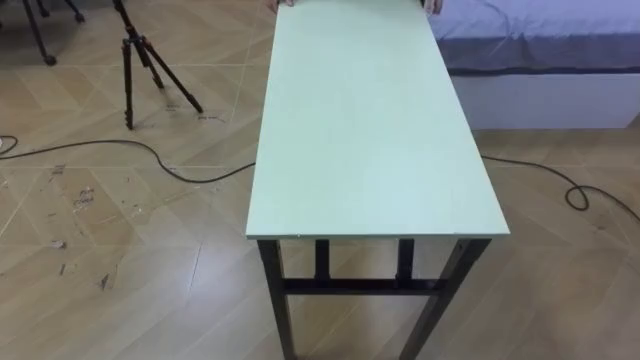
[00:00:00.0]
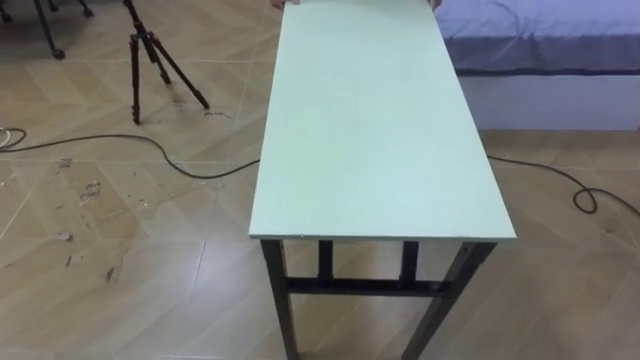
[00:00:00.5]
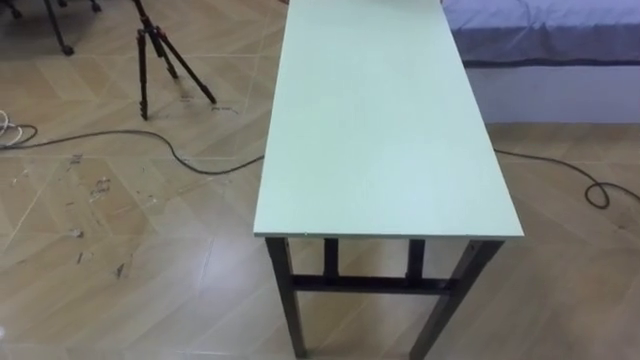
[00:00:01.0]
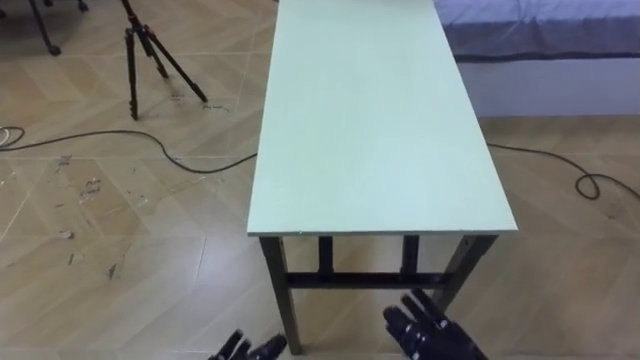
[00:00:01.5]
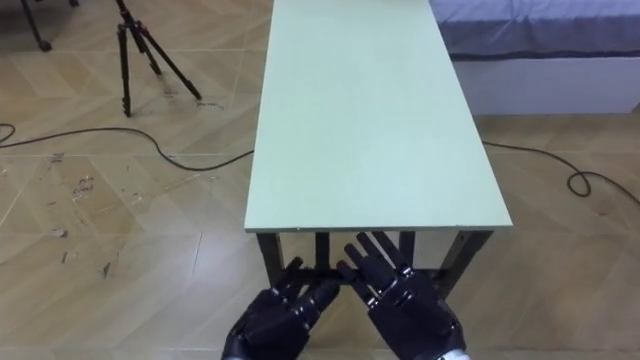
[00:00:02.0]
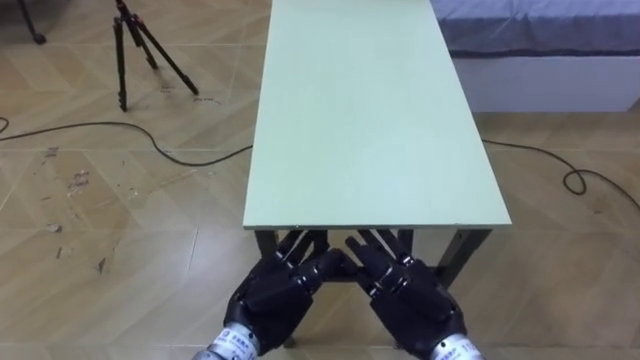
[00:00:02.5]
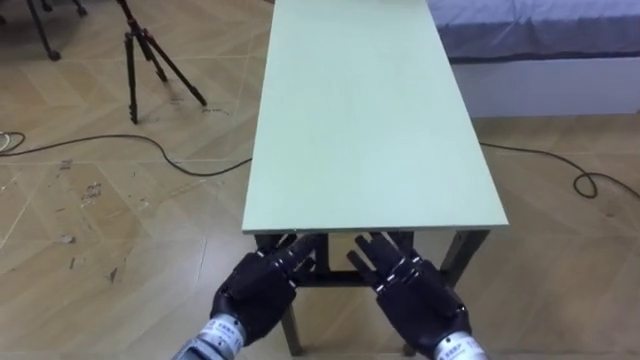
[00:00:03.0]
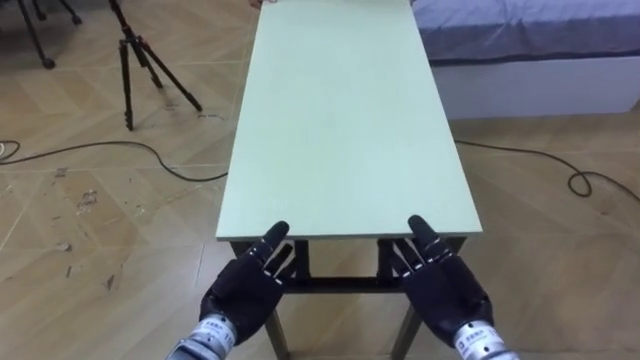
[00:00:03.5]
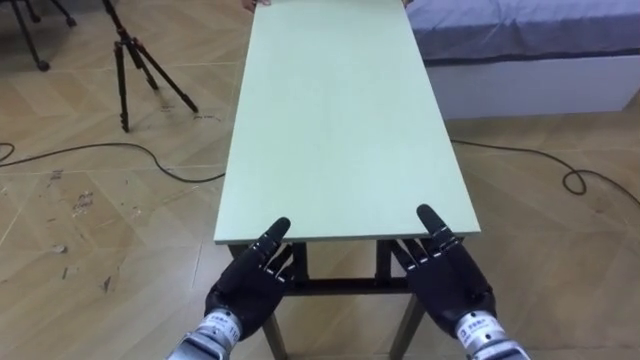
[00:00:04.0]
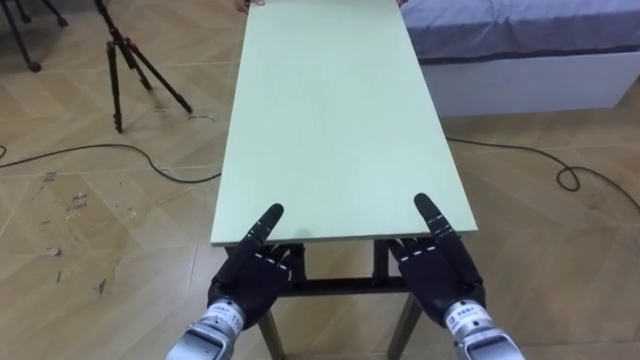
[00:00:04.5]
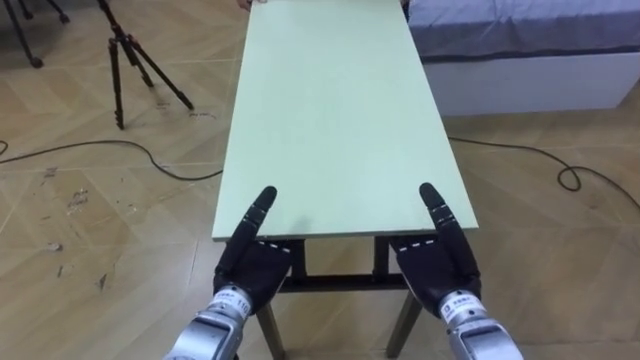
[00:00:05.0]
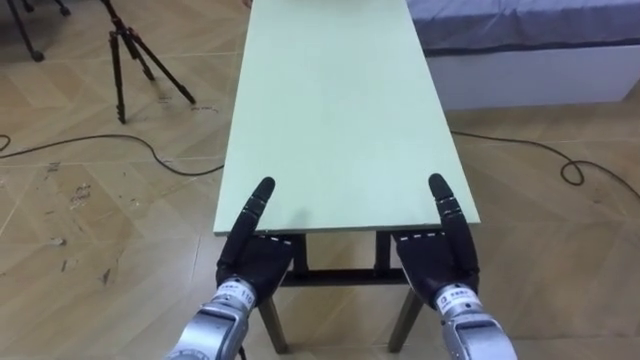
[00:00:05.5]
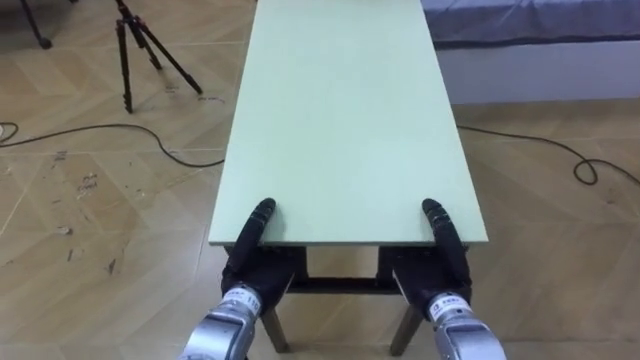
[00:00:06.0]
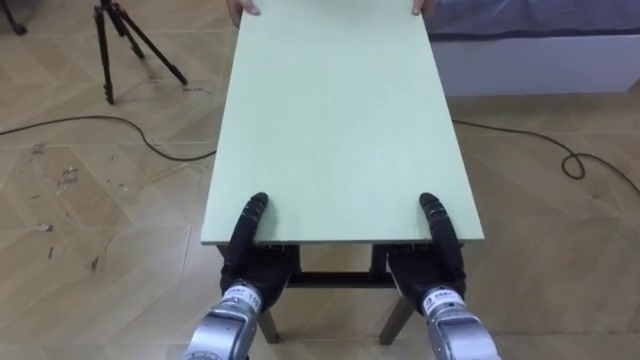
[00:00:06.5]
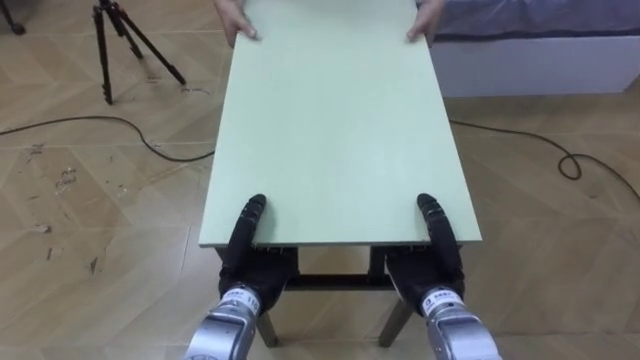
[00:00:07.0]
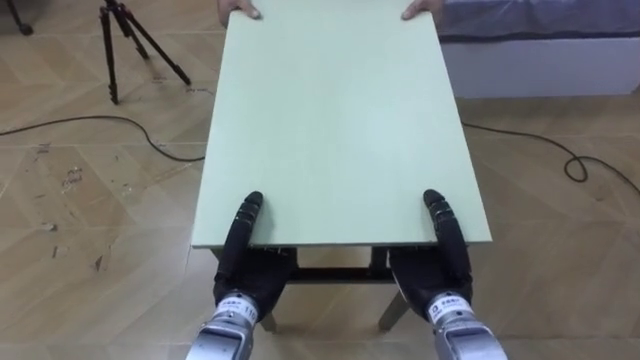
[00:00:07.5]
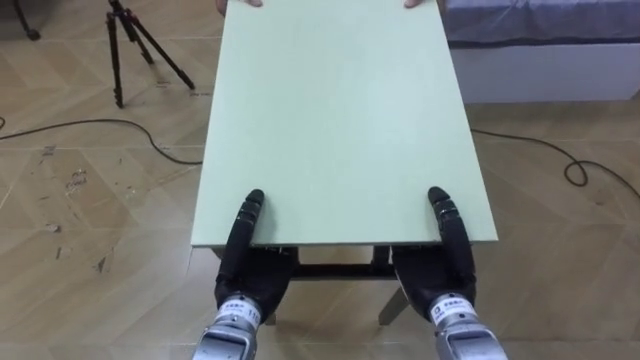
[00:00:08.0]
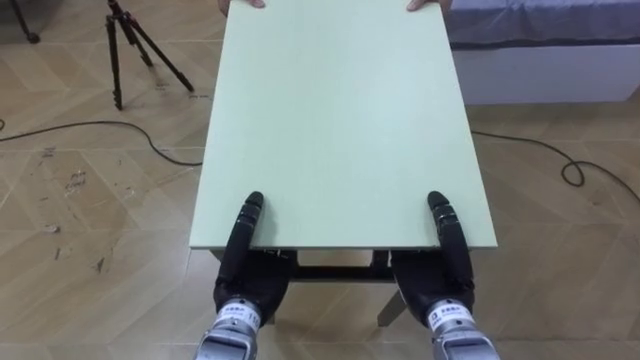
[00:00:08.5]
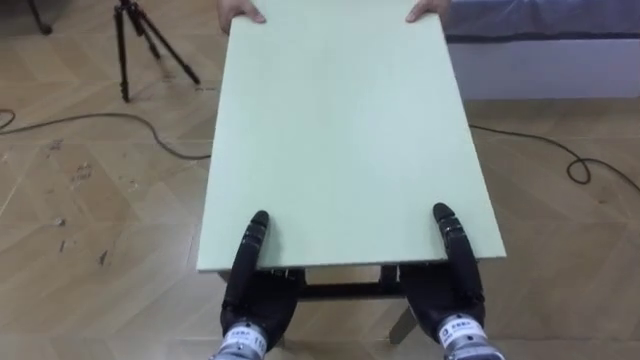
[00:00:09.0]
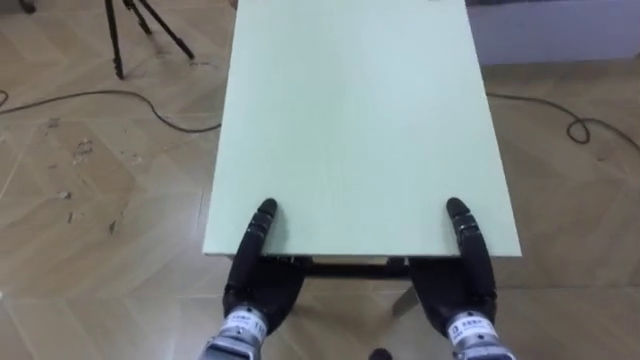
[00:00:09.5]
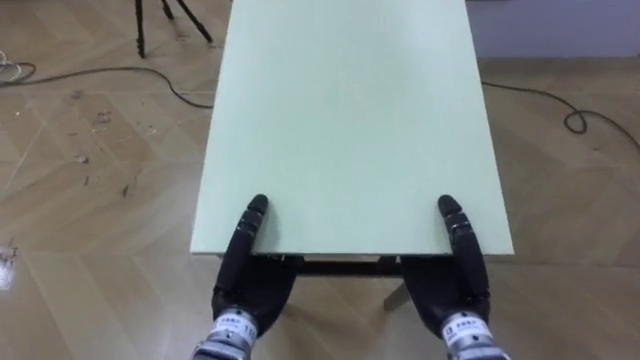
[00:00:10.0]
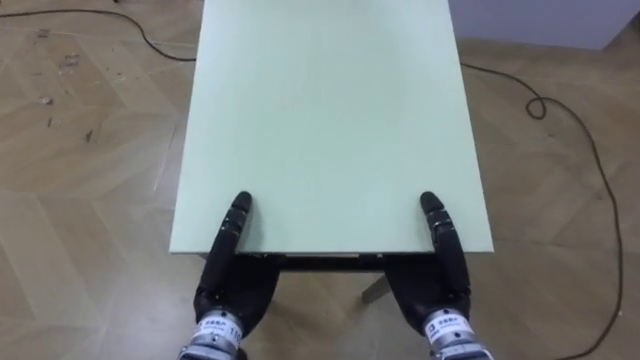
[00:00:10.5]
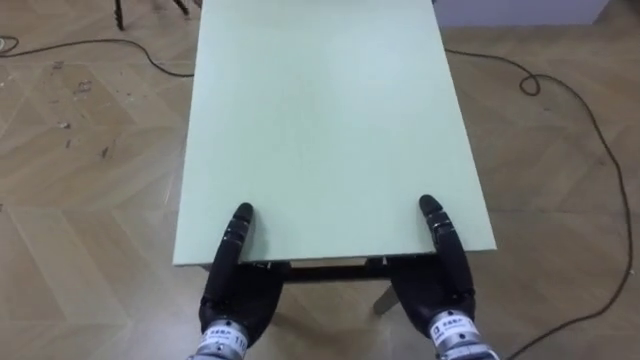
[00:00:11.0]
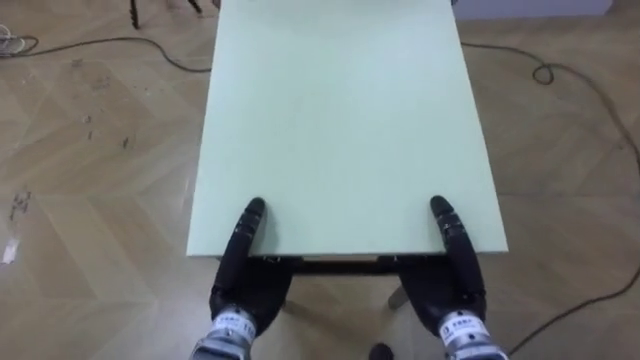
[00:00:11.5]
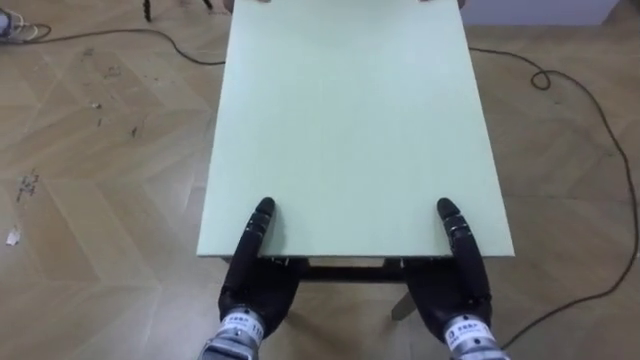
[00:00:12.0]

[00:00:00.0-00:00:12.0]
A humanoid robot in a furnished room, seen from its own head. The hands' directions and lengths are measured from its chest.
Task of the whole recording: Move the table to the back left with someone.
00:00:02.0 to 00:00:04.0: The left hand moves forward, about 5 cm; the right hand shifts approximately 5 cm to the right.
00:00:04.0 to 00:00:06.0: The left hand closes its fingers; the right hand closes its fingers.

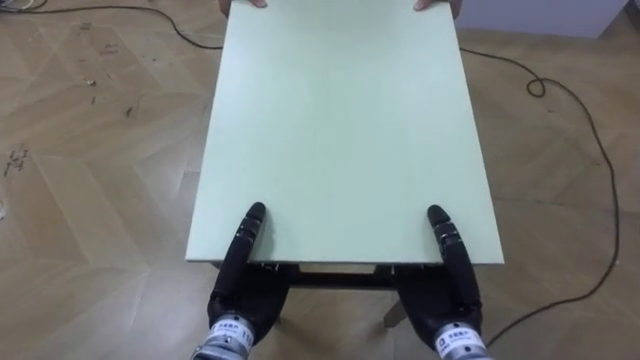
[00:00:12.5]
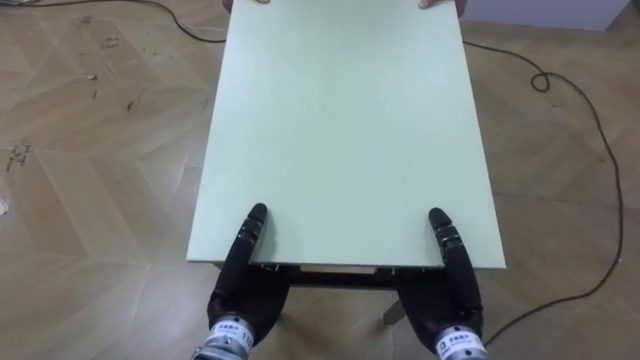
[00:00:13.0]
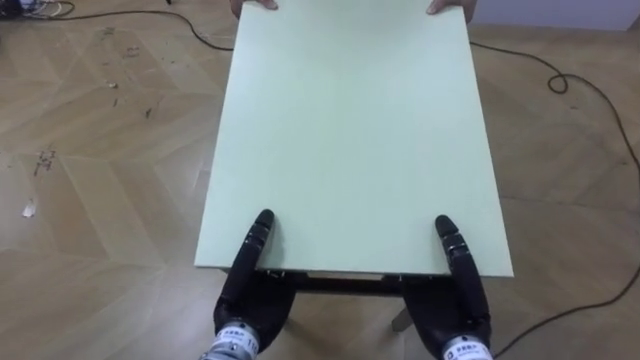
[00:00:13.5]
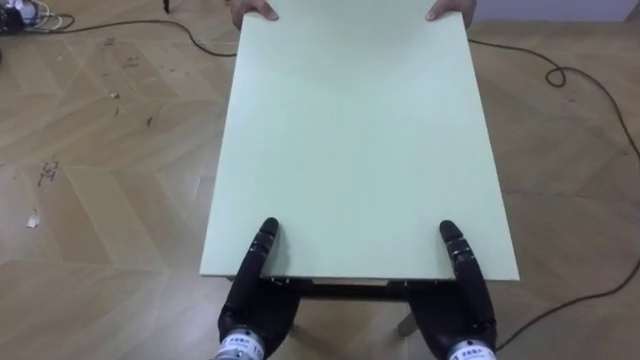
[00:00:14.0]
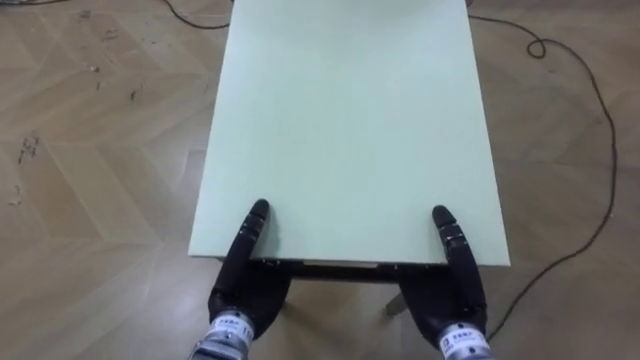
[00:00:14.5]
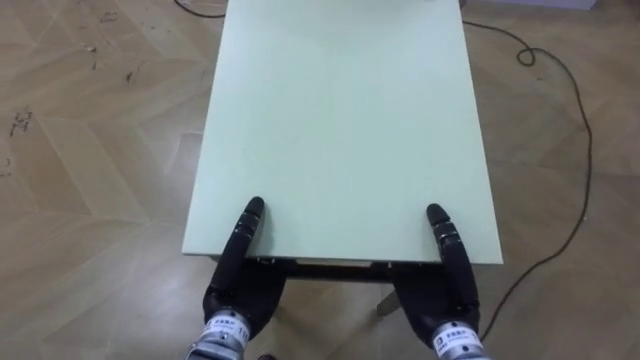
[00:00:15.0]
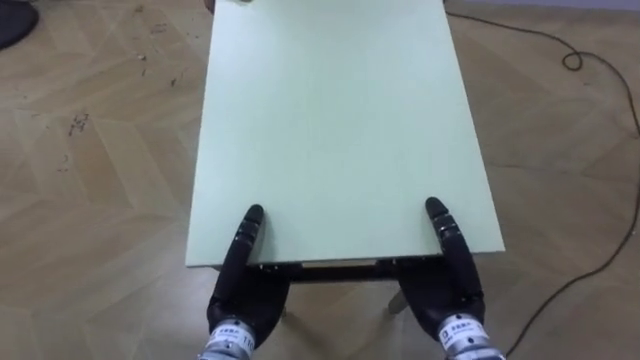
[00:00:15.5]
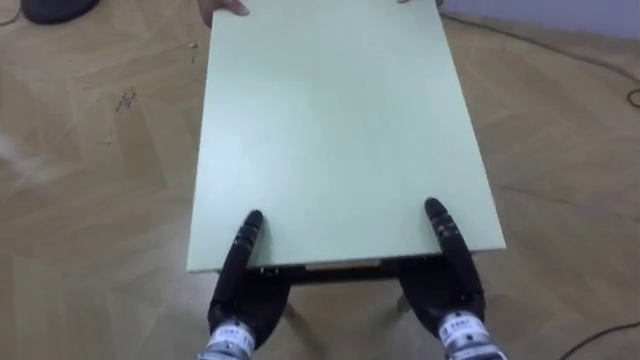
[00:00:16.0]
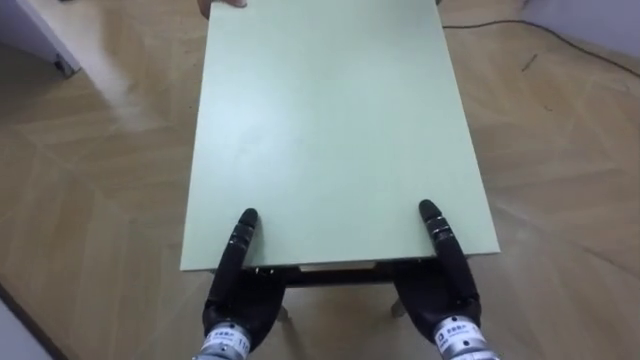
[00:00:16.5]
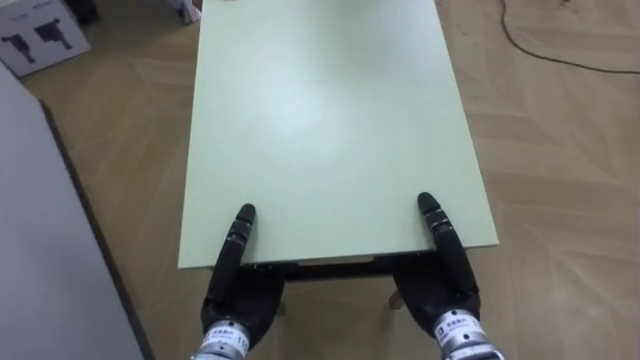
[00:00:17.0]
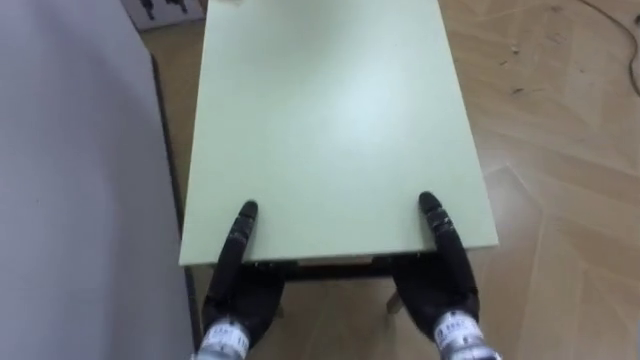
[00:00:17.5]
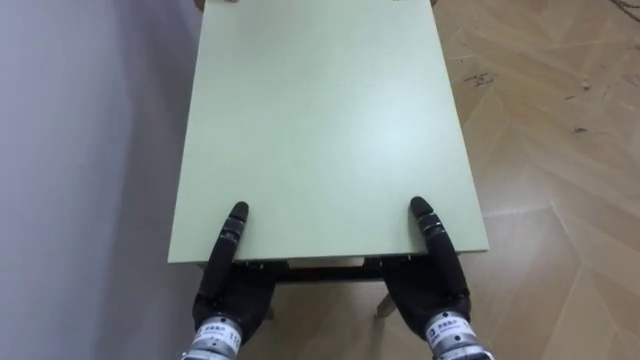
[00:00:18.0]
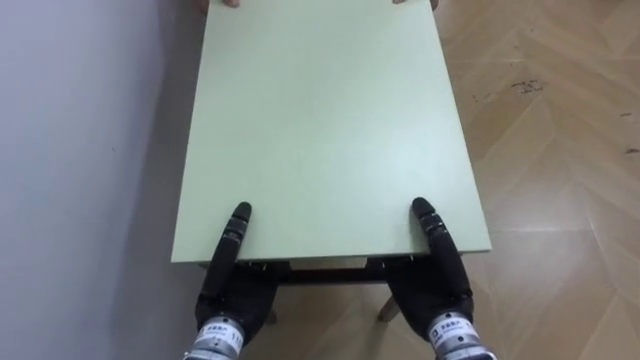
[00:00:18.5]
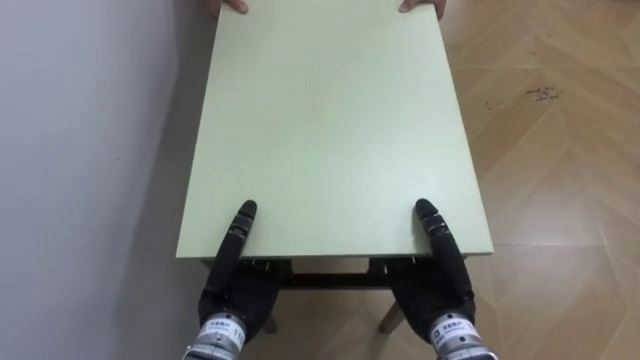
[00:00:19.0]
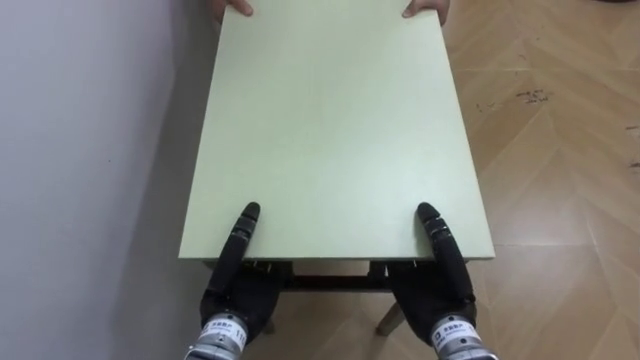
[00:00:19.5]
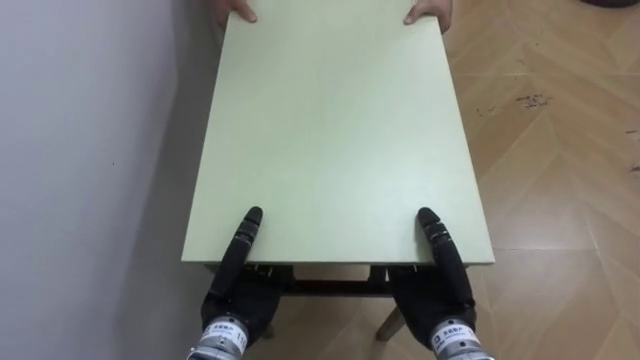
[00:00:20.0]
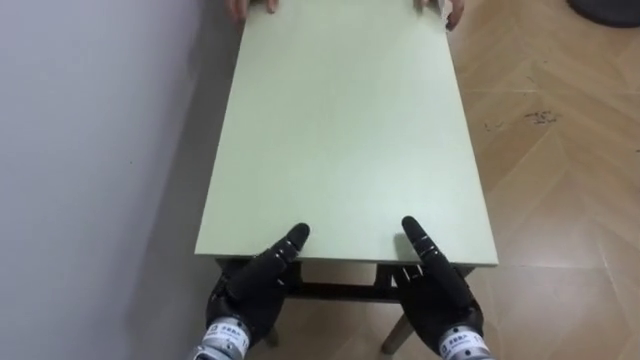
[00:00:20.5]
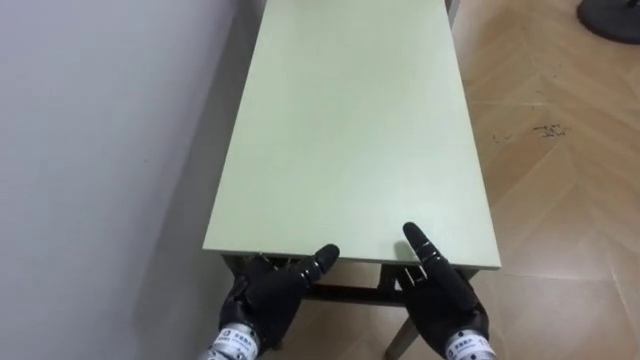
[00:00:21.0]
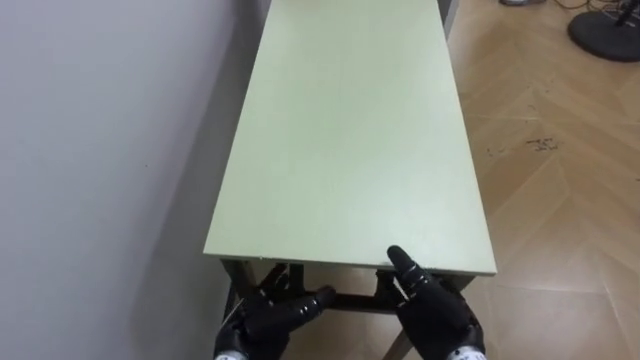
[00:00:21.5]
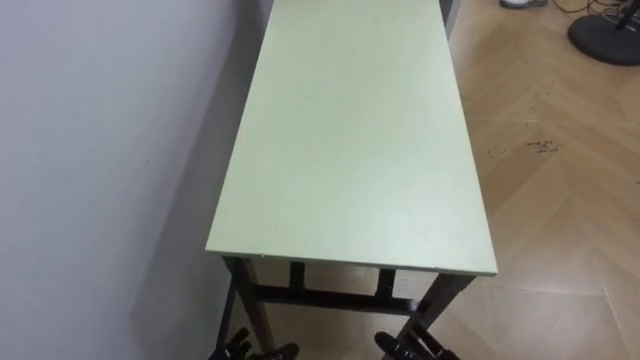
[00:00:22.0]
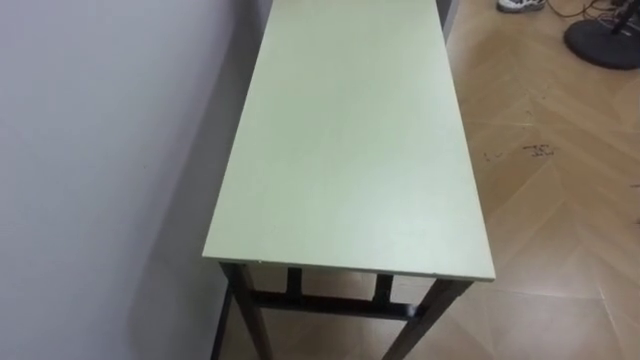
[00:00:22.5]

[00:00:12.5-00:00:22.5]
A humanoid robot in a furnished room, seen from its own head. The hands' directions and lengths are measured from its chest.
Task of the whole recording: Move the table to the back left with someone.
00:00:14.5 to 00:00:16.5: The robot's body swings about 30 degrees to its left.
00:00:16.5 to 00:00:18.5: The robot's body swings roughly 55 degrees to its left.
00:00:18.5 to 00:00:20.5: The right hand opens up.
